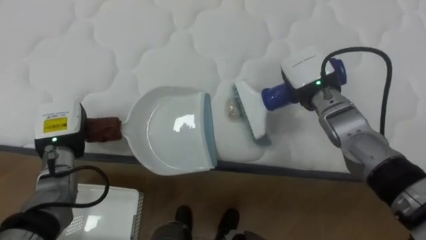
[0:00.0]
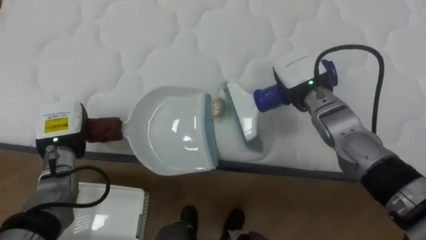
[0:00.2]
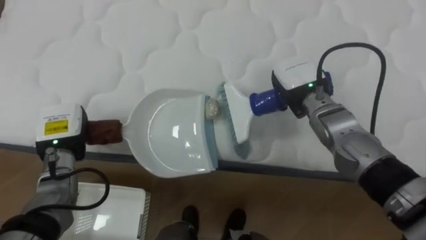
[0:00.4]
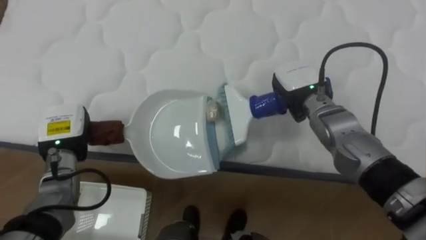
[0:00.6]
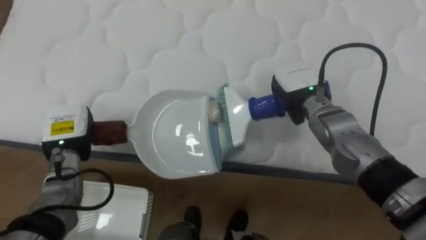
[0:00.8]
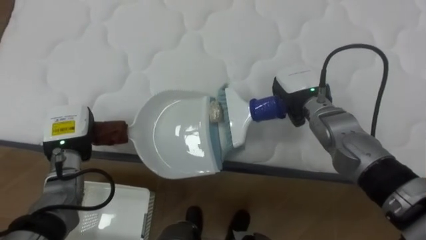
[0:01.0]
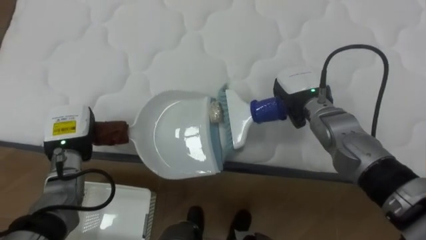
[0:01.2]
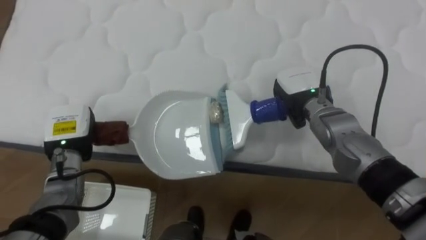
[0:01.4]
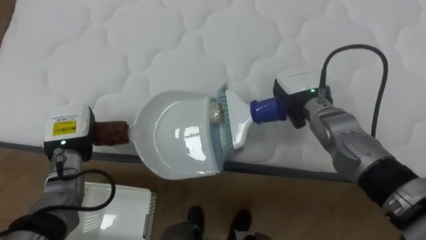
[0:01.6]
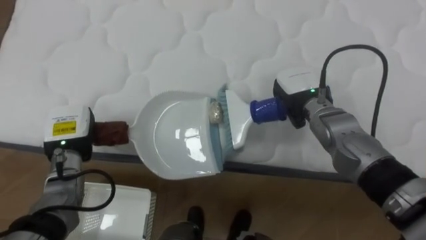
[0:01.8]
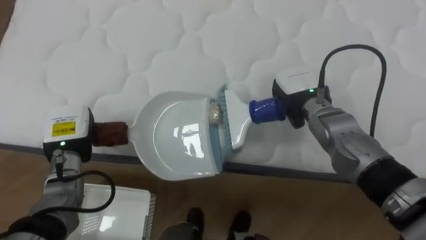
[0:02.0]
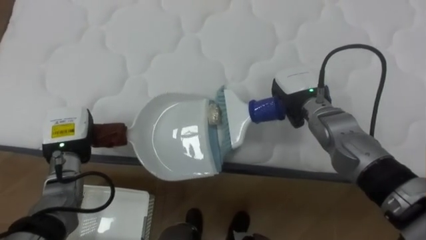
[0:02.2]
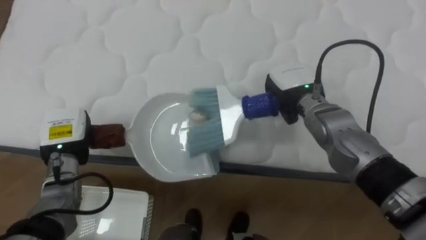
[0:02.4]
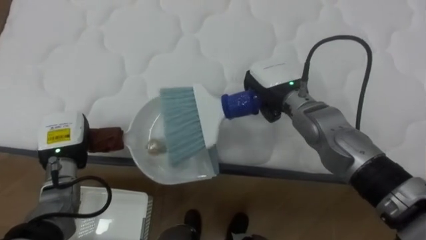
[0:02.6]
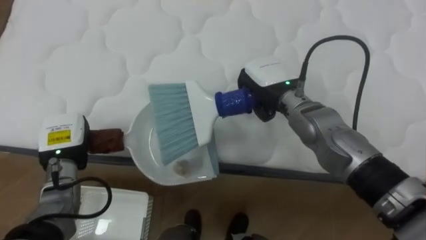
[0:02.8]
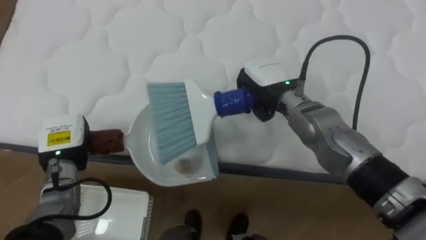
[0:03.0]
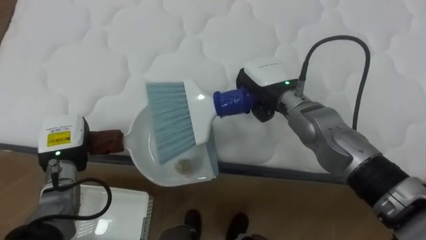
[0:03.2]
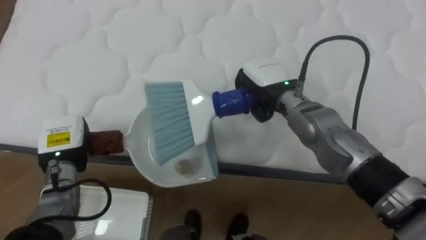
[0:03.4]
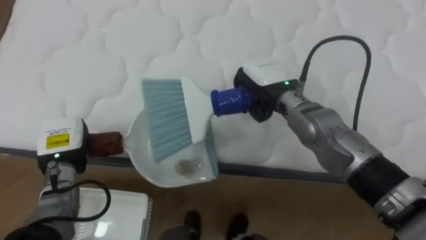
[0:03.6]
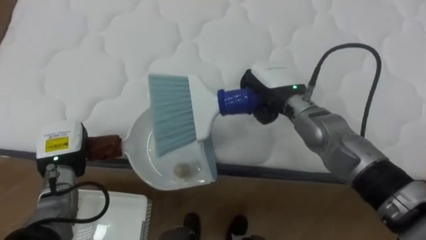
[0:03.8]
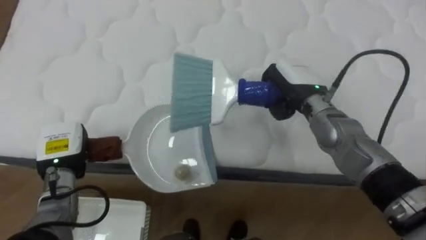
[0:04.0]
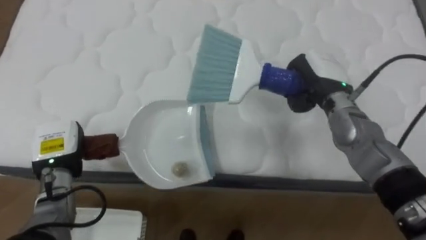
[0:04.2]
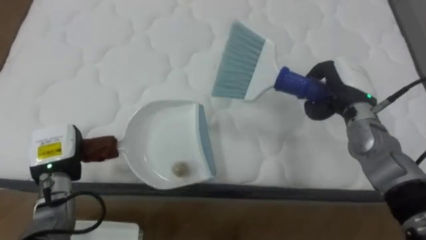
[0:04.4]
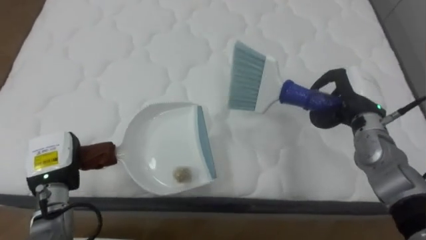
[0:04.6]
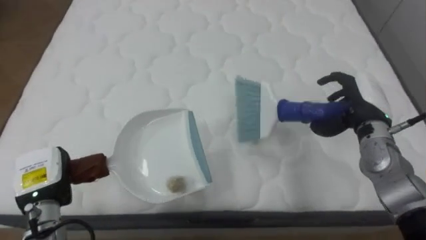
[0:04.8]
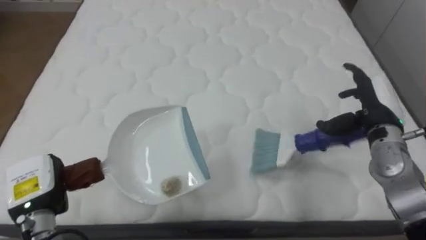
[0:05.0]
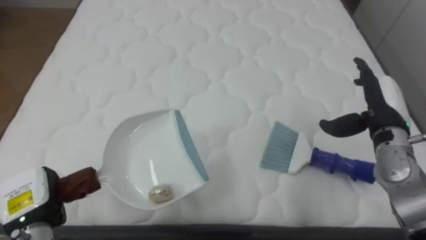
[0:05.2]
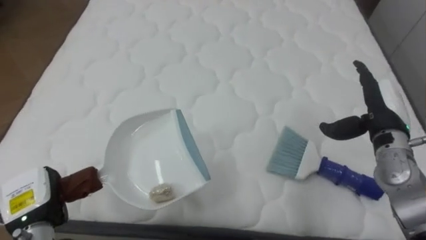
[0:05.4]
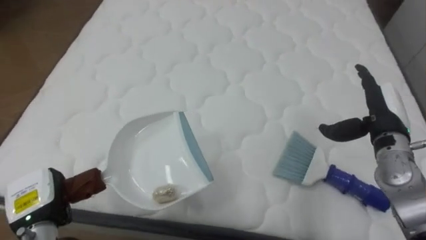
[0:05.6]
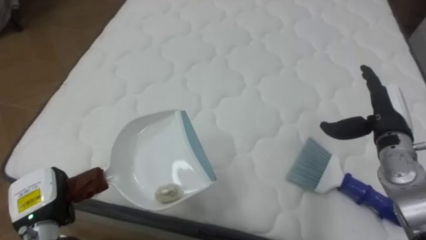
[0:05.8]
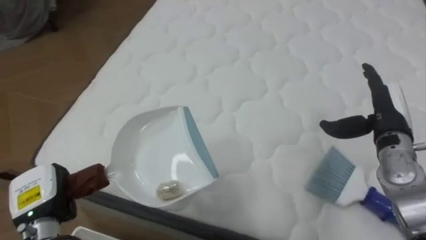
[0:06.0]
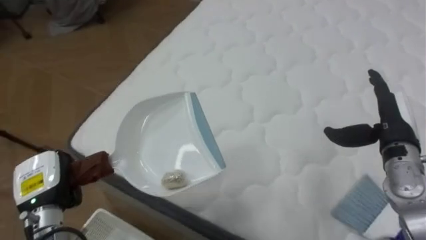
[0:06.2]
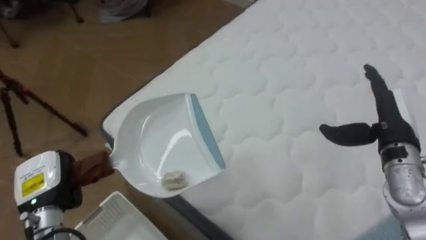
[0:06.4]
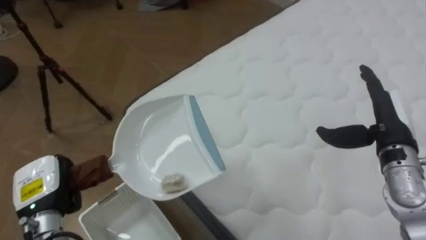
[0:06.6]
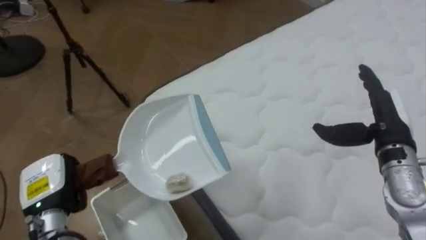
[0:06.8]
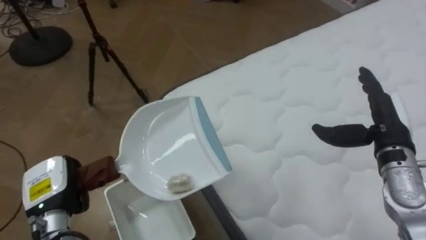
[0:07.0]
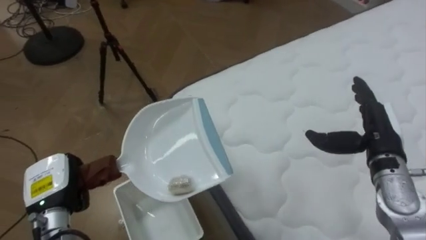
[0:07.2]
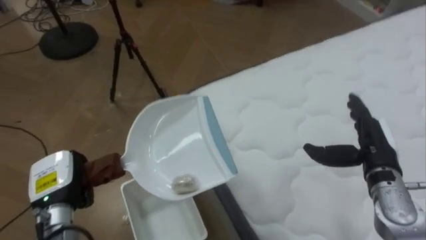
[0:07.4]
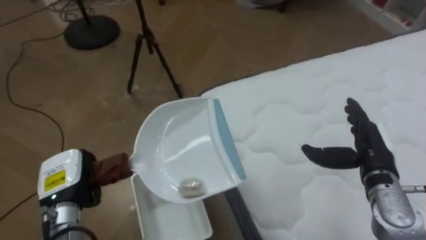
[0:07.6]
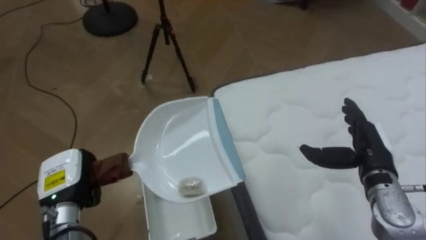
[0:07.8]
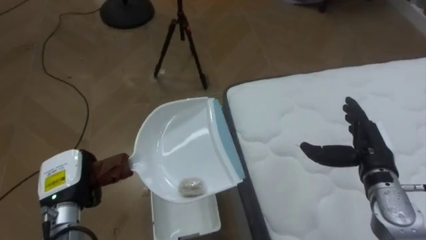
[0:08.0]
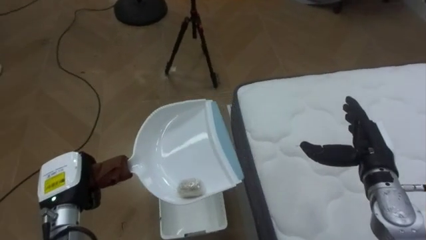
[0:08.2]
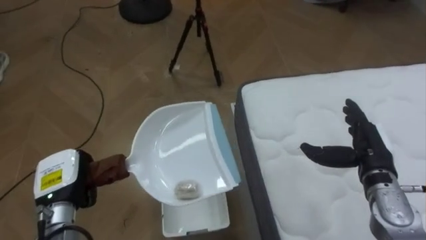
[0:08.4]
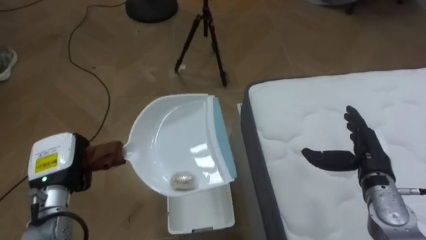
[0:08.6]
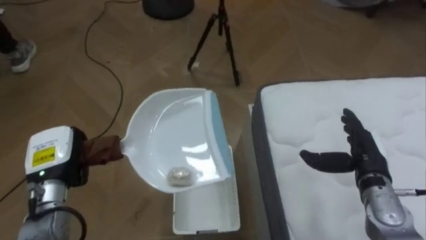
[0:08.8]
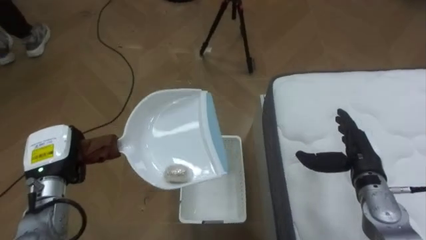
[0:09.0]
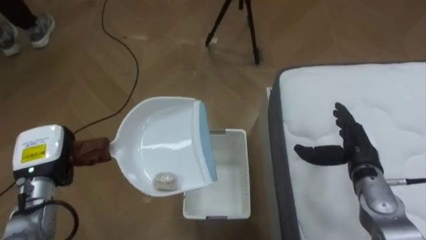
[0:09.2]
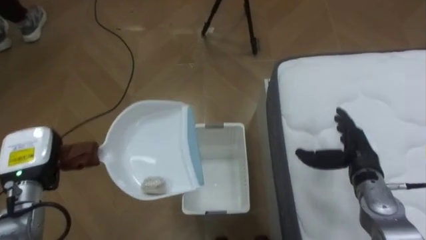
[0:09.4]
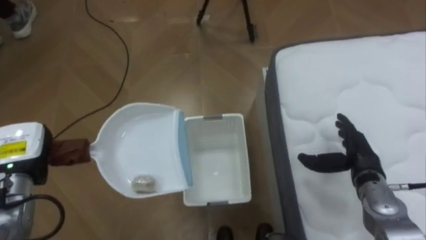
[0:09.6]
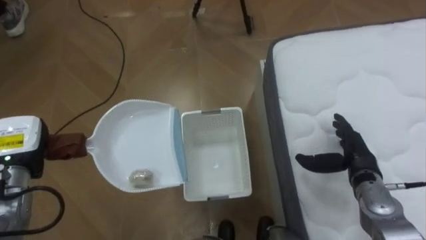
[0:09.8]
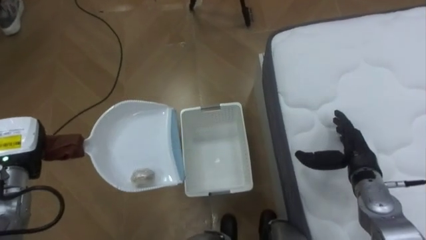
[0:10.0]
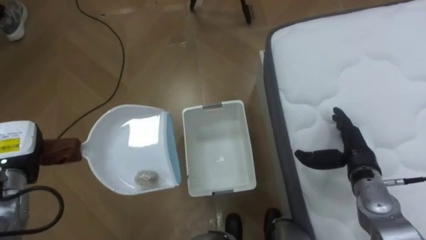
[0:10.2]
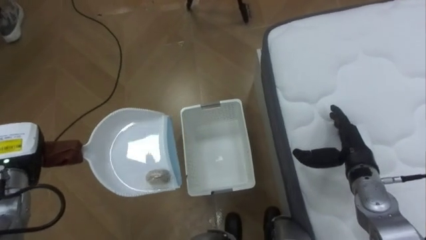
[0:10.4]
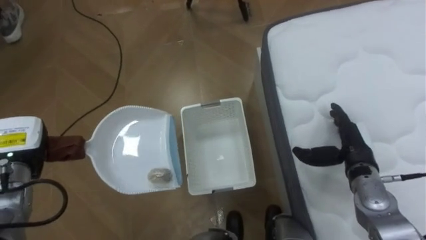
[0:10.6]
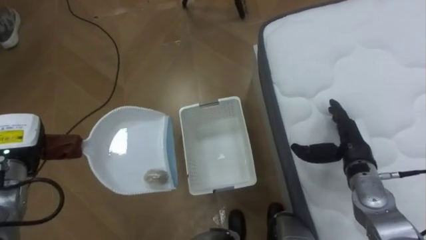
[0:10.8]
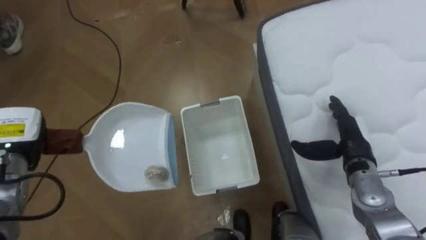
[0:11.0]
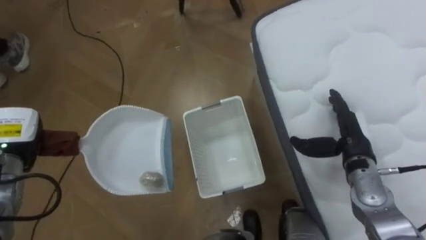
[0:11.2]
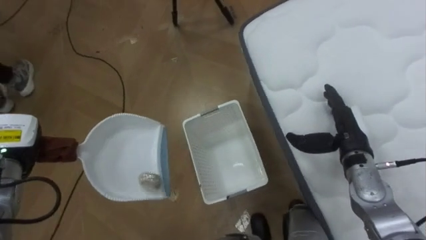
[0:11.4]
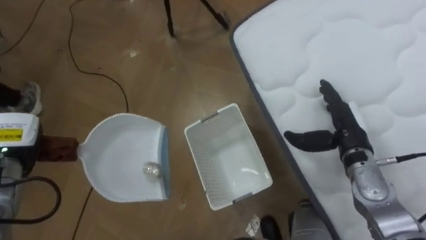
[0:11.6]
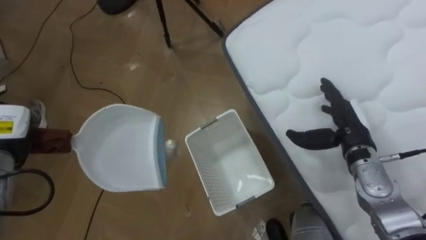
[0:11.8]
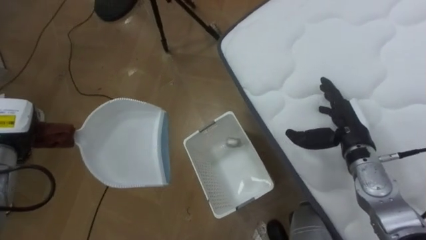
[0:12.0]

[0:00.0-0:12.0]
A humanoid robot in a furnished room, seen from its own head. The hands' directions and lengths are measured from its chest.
Task of the whole recording: Pick up the brush on your right and the dustpan on your left. Use the brush to sweep the crumpled paper on the bed into the dustpan, then turn left and empty it into the basket.
0:01.6 to 0:03.0: The right hand goes roughly 5 cm to the left.
0:03.0 to 0:04.4: The right hand shifts some 15 cm to the right.
0:04.4 to 0:06.0: The robot turns to its left by approximately 20 degrees. The left hand moves backward, approximately 10 cm. The right hand moves to the right and backward, approximately 10 cm, and opens up.
0:06.0 to 0:07.6: The robot faces some 55 degrees further to its left. The right hand is displaced backward by about 5 cm.
0:07.6 to 0:09.0: The robot turns to its left by some 20 degrees. The left hand shifts by about 5 cm.
0:09.0 to 0:10.4: The left hand heads to the left, covering roughly 5 cm.
0:10.4 to 0:12.0: The right hand moves roughly 5 cm.

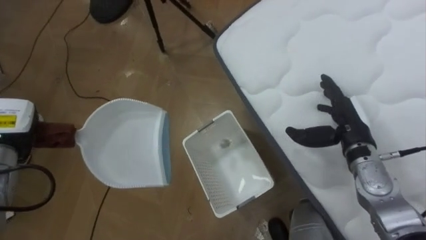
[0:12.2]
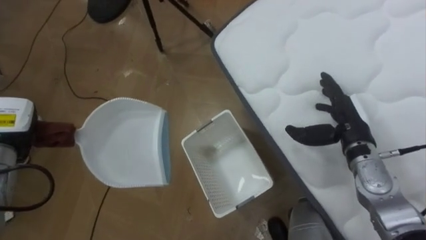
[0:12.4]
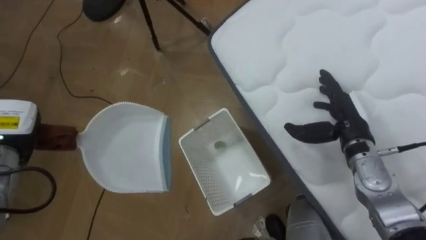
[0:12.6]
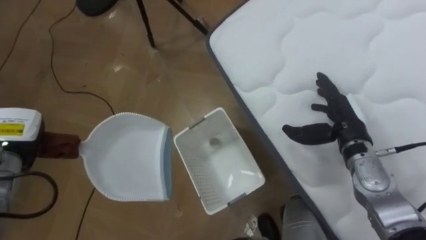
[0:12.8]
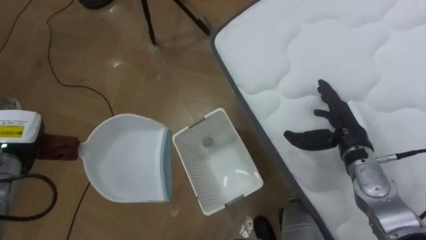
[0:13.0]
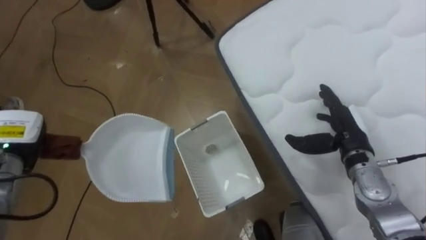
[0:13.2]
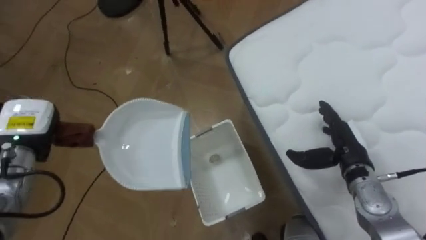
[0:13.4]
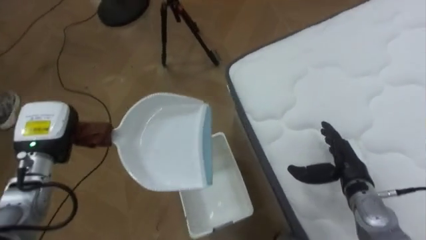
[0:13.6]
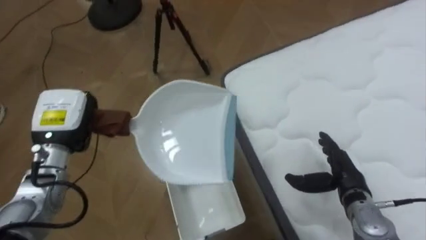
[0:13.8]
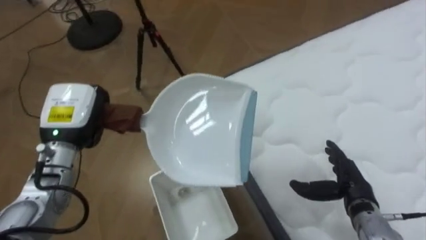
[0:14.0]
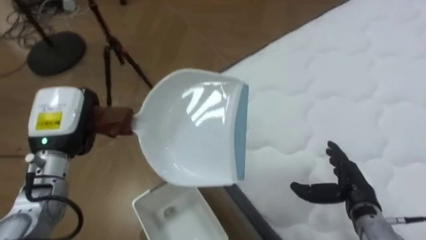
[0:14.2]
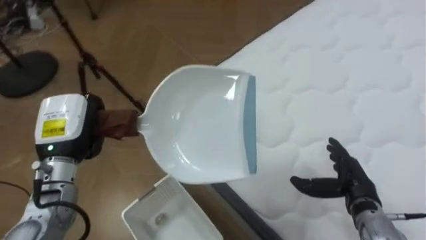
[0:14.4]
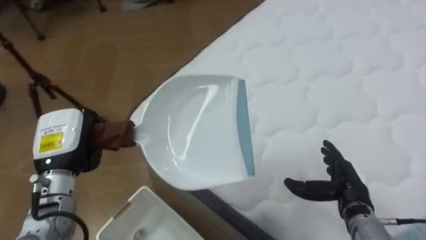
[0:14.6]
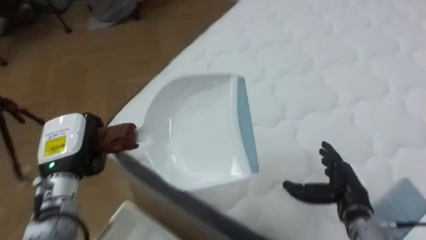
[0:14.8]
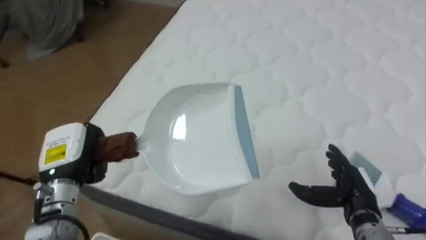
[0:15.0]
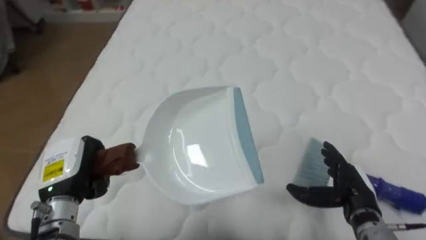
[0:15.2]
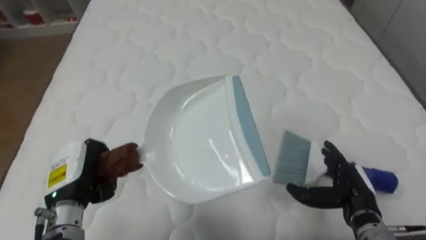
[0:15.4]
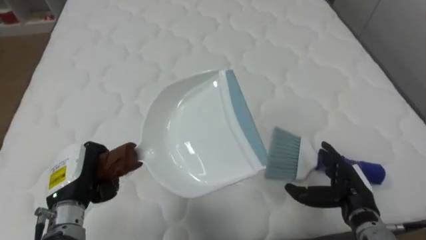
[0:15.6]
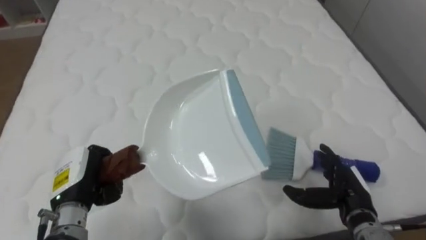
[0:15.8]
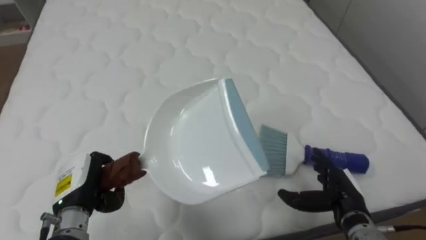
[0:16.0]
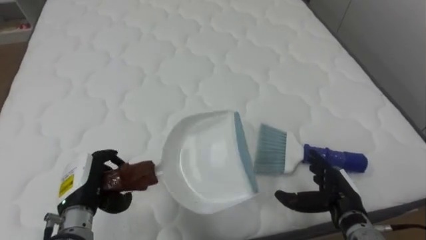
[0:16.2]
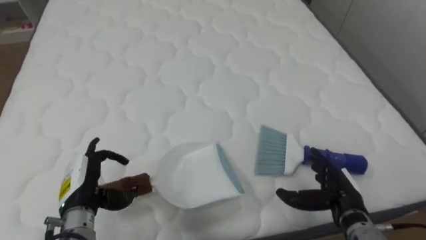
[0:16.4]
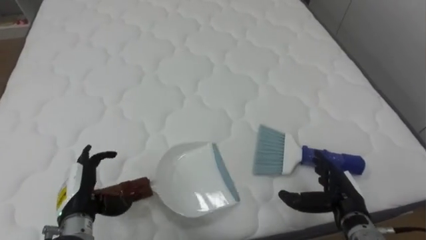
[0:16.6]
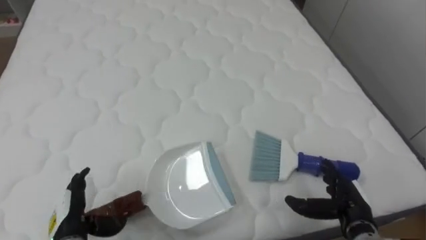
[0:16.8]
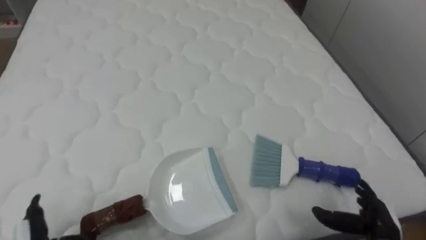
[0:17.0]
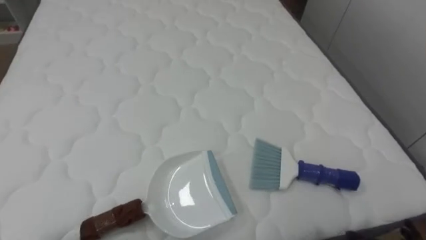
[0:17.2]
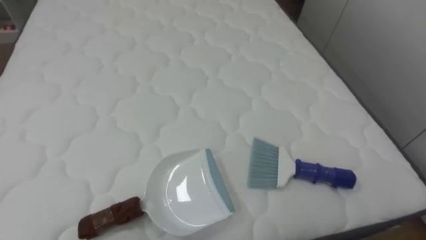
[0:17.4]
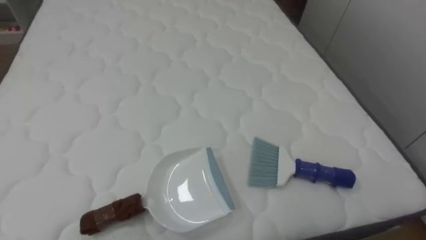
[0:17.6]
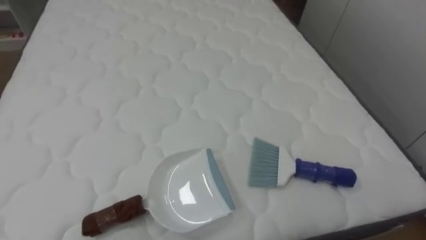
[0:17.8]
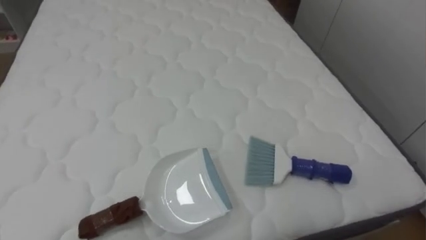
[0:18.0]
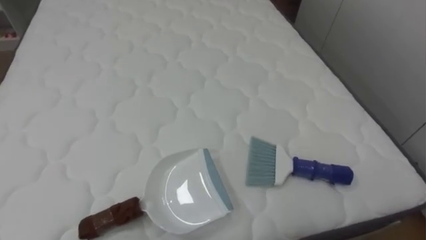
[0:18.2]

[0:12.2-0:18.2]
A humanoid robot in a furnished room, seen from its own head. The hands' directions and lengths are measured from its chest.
Task of the whole recording: Pick up the brush on your right and the dustpan on your left. Use the brush to sweep the crumpled paper on the bed into the dustpan, then turn left and empty it into the basket.
0:12.2 to 0:13.8: The right hand goes some 10 cm downward and backward. Meanwhile the left hand heads to the right, covering approximately 10 cm.
0:13.8 to 0:15.2: The robot faces some 70 degrees further to its right. The left hand heads backward, covering roughly 5 cm.
0:15.2 to 0:16.6: The robot faces approximately 15 degrees further to its right. The left hand moves downward, about 5 cm, and opens its fingers.
